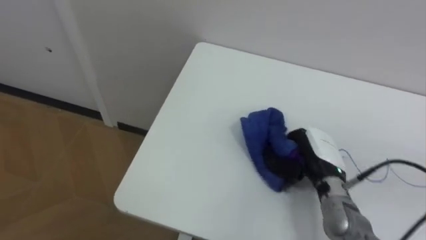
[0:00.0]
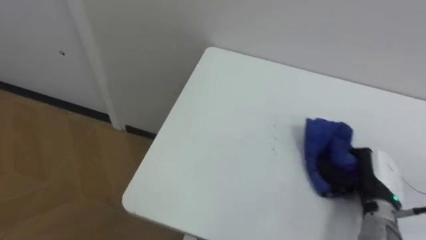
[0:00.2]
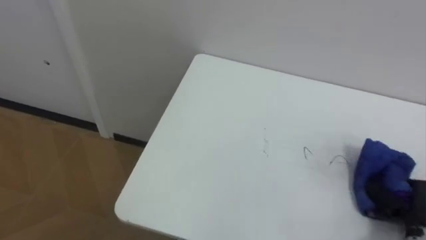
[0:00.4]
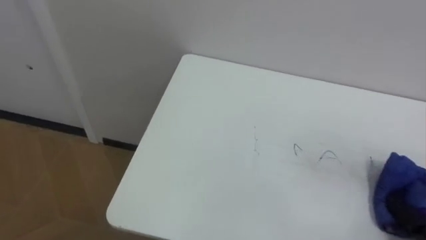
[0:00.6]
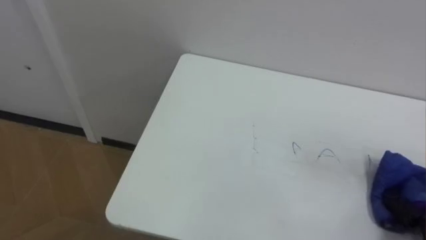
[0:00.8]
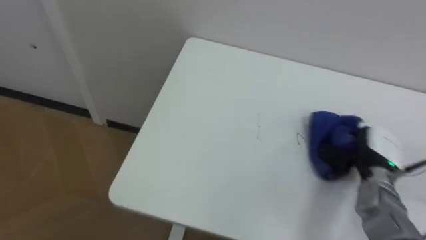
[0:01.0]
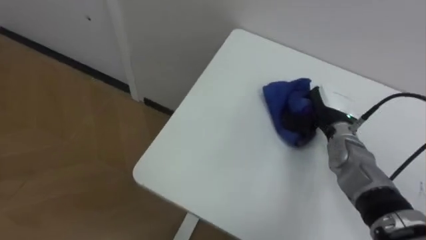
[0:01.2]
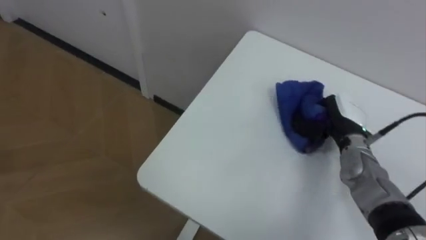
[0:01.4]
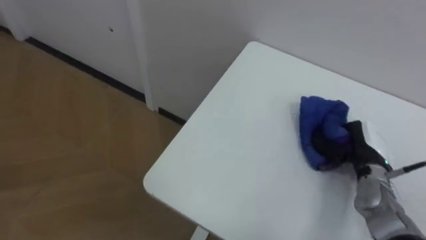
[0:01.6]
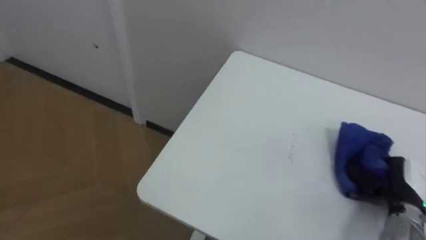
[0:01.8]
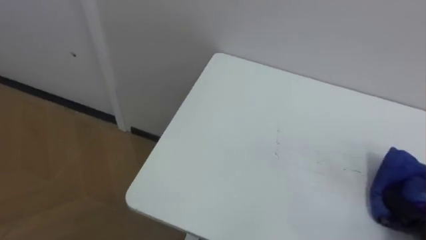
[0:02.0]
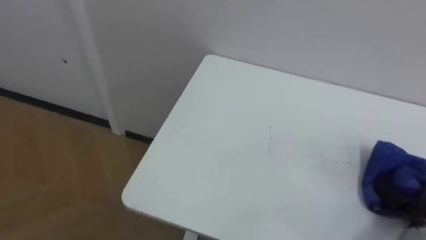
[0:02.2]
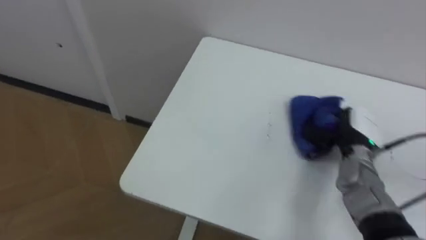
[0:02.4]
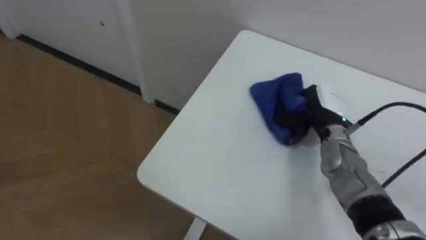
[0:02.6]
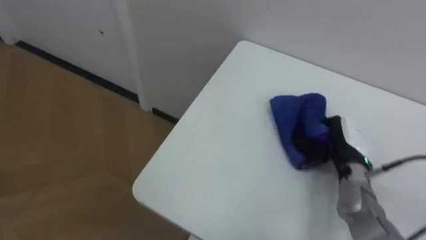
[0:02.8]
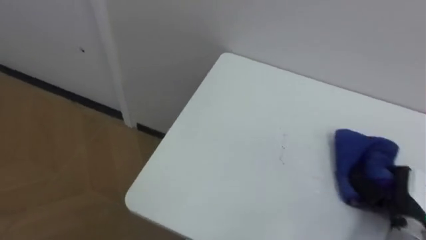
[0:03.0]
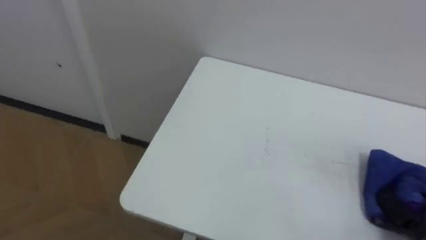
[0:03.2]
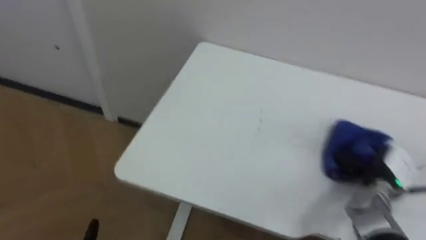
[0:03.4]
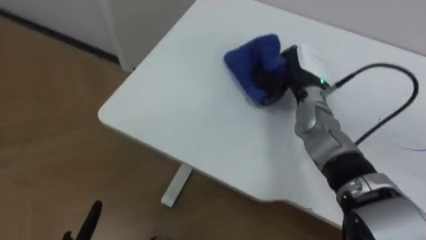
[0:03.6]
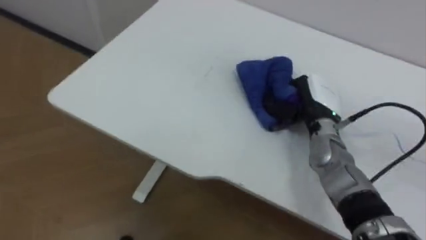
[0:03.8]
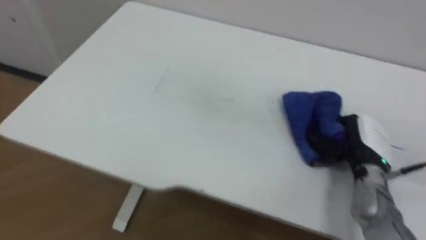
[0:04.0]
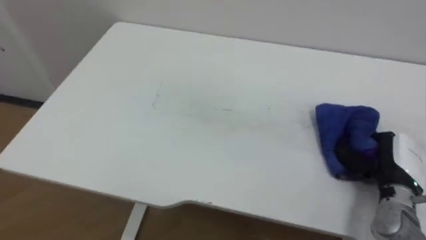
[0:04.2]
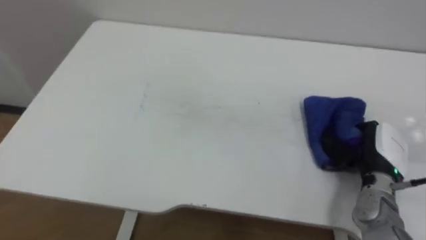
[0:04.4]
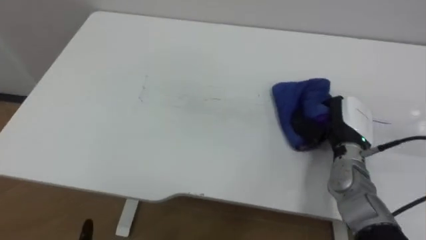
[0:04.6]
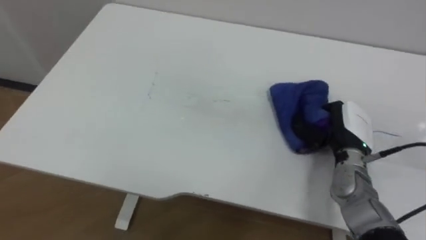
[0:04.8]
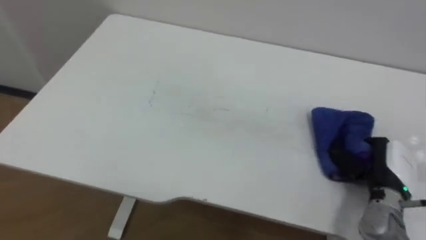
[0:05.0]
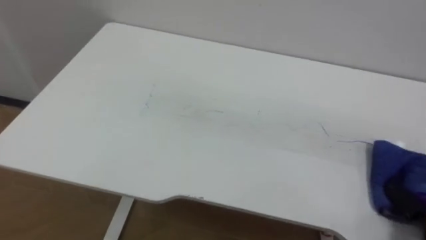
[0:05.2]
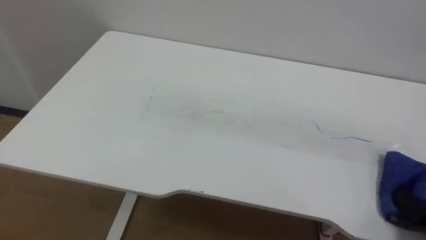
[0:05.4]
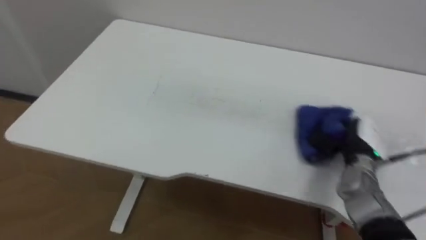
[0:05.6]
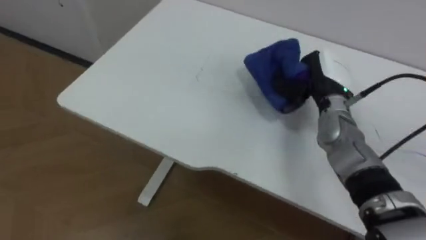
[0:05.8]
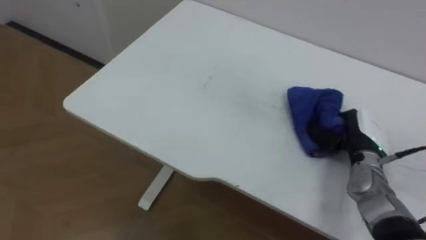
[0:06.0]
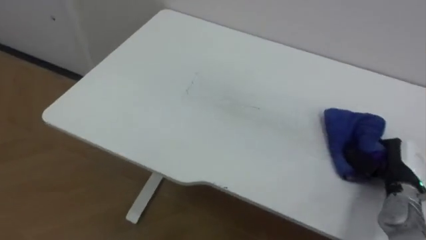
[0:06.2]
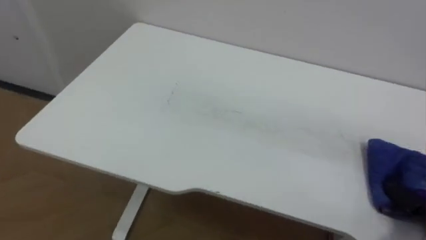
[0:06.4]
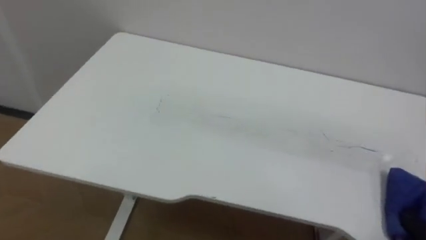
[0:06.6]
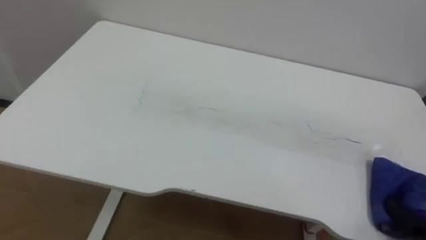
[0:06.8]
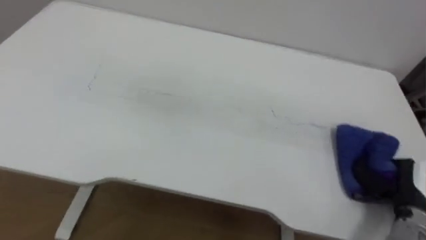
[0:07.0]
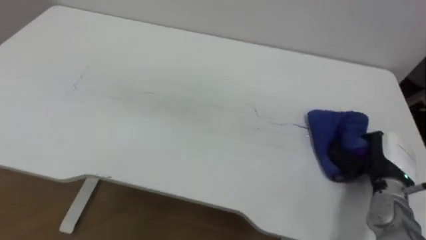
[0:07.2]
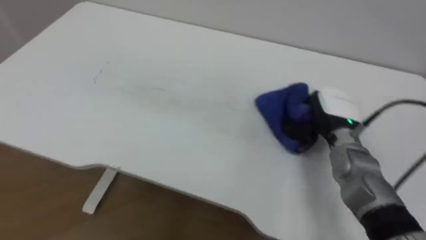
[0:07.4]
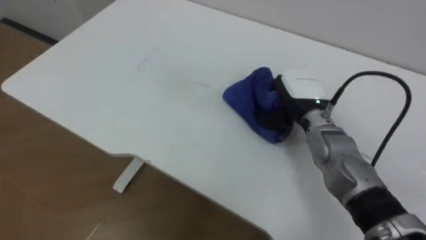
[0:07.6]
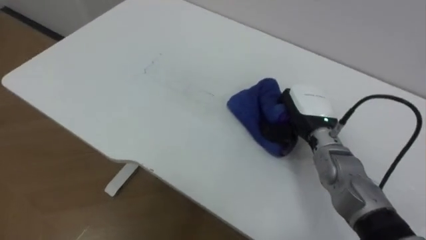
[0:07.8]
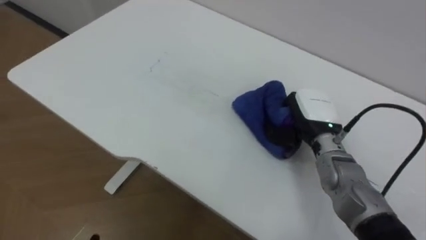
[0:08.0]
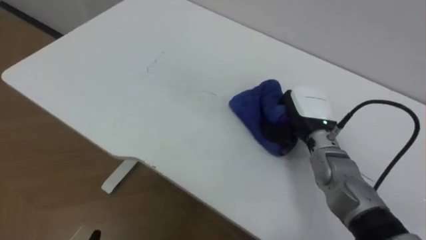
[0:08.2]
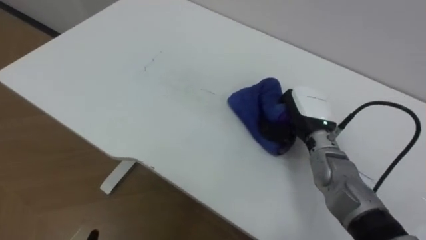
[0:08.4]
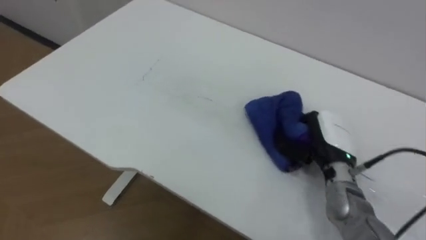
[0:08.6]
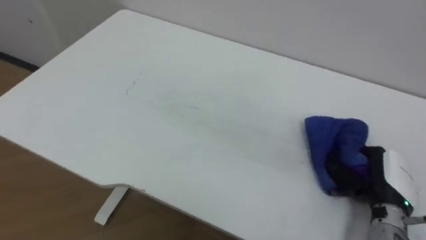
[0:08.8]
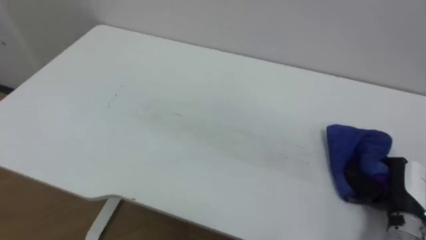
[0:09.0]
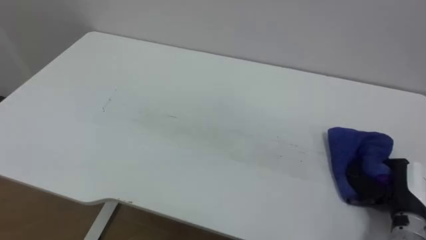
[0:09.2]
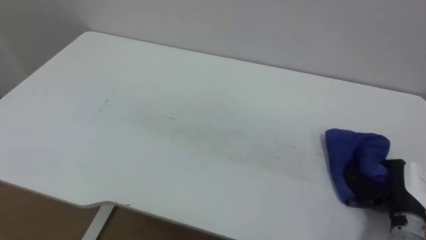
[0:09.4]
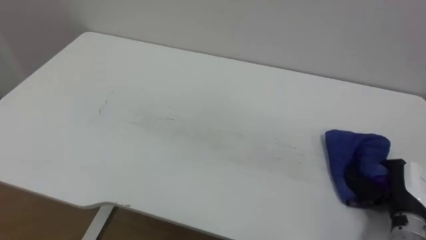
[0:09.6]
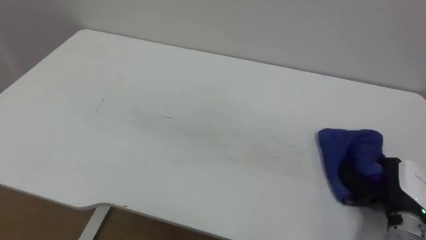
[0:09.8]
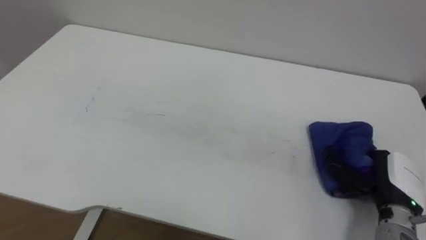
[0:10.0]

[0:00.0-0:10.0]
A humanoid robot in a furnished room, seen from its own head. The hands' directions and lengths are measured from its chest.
Task of the whole recording: Wipe the blue pen marks off the table with the rag.
0:02.8 to 0:04.2: The right hand swings forward and backward, roughly 25 cm each way, with 2 reversals.
0:07.2 to 0:08.6: The right hand shifts roughly 10 cm to the left.
0:08.6 to 0:10.0: The right hand shifts approximately 15 cm to the right and backward, and opens its fingers.

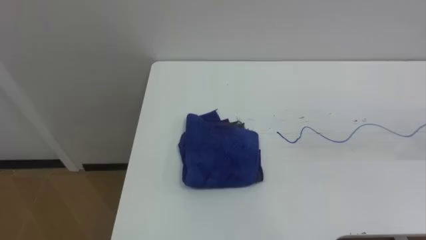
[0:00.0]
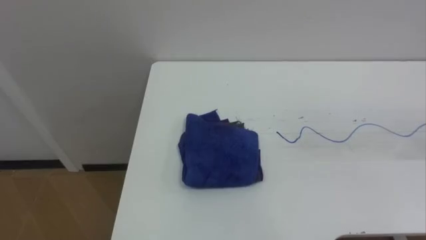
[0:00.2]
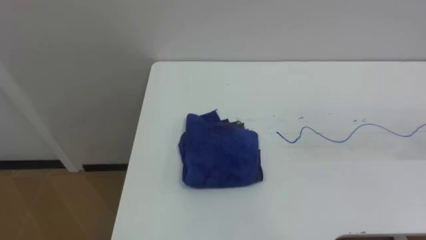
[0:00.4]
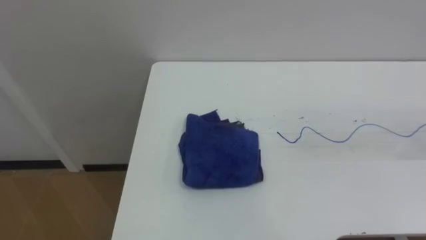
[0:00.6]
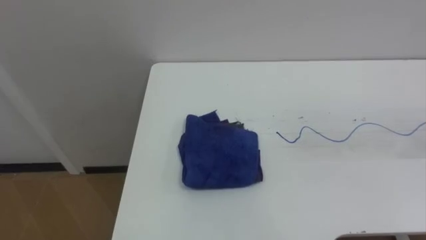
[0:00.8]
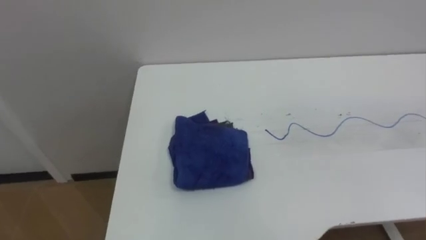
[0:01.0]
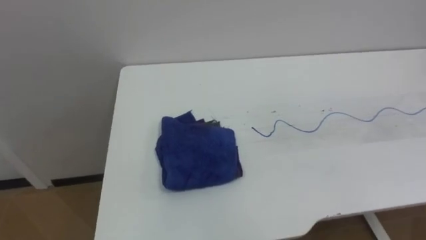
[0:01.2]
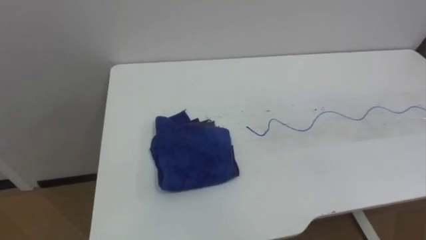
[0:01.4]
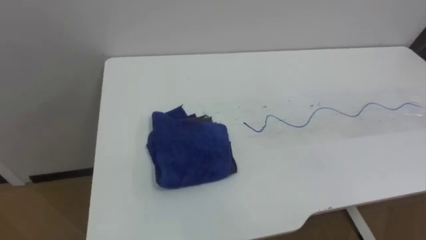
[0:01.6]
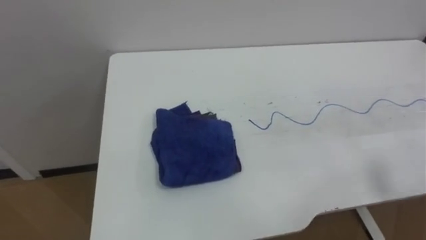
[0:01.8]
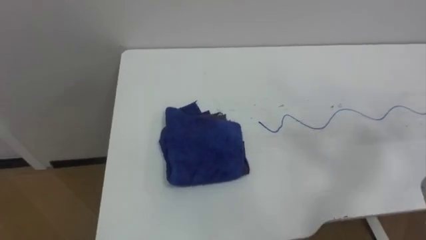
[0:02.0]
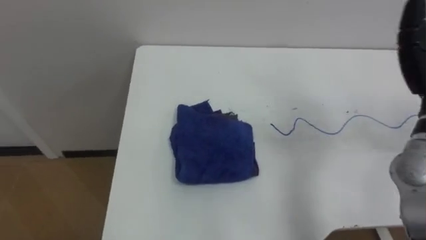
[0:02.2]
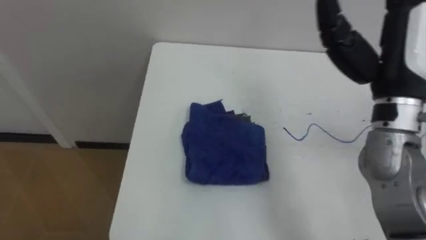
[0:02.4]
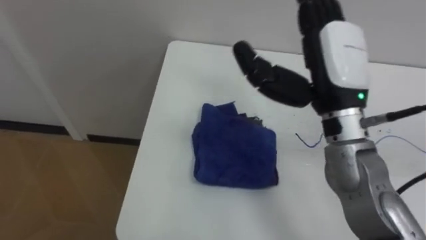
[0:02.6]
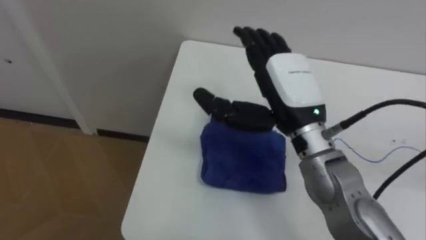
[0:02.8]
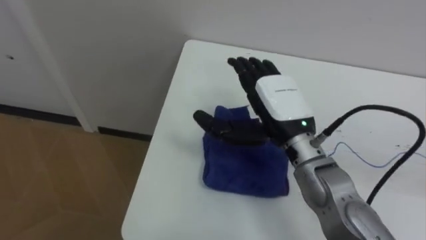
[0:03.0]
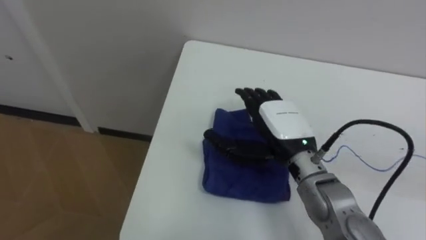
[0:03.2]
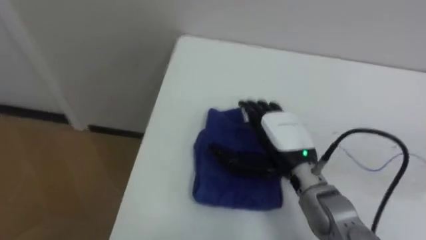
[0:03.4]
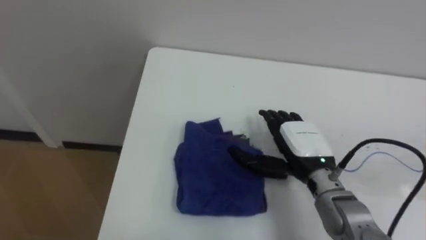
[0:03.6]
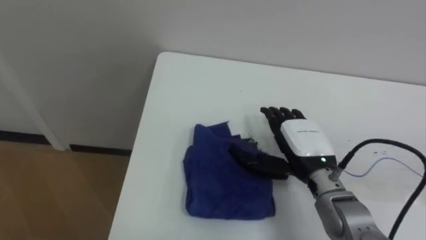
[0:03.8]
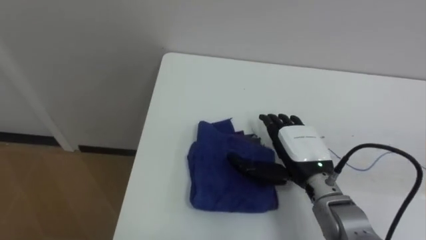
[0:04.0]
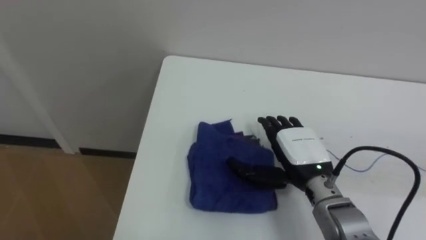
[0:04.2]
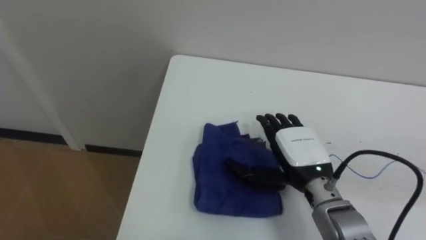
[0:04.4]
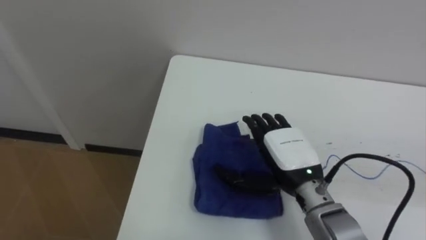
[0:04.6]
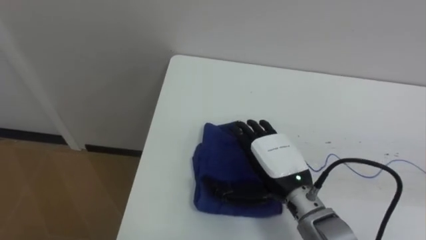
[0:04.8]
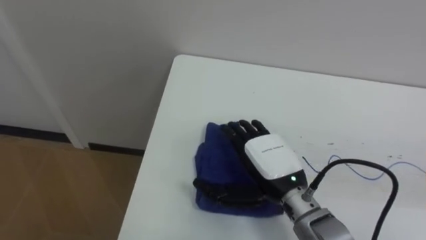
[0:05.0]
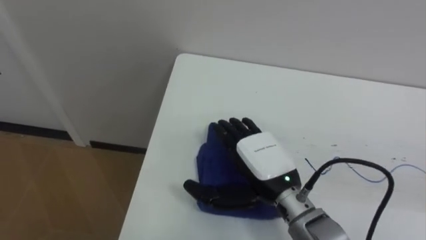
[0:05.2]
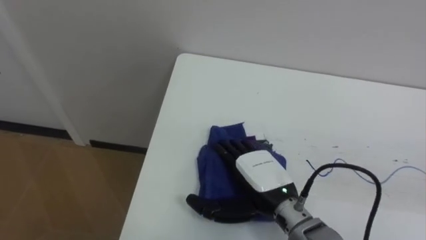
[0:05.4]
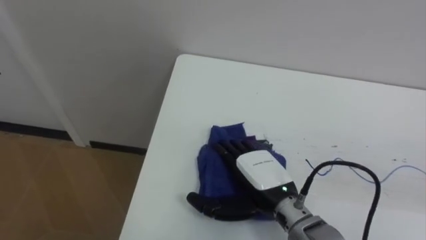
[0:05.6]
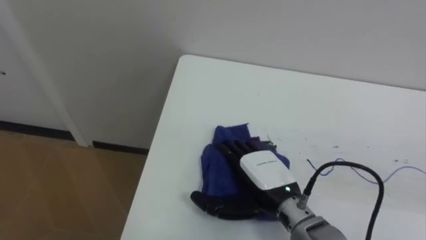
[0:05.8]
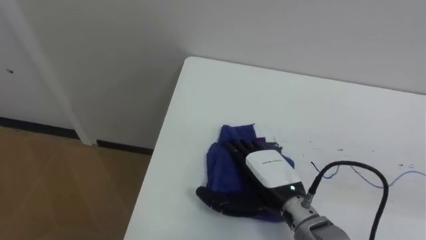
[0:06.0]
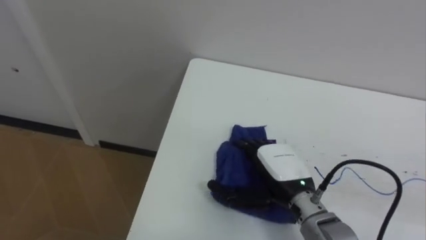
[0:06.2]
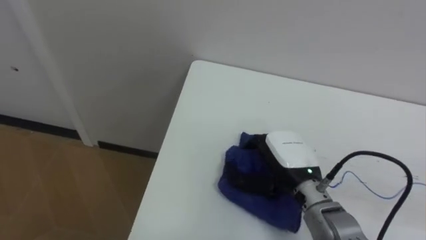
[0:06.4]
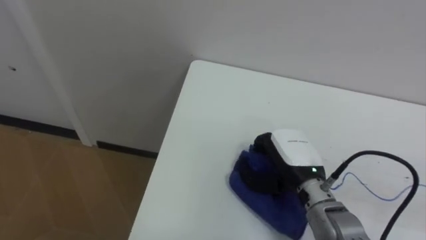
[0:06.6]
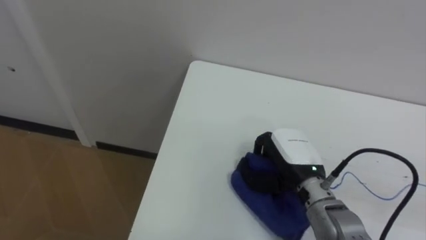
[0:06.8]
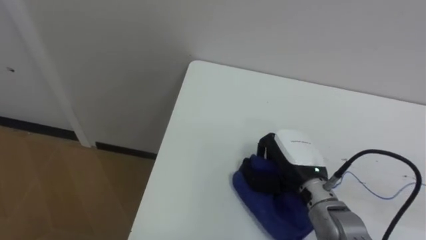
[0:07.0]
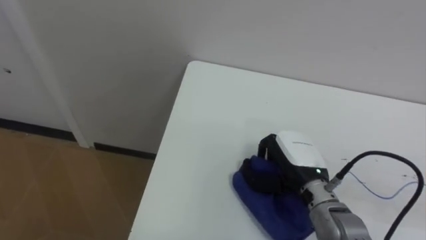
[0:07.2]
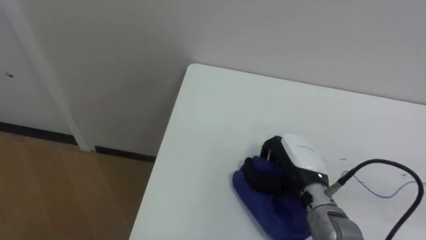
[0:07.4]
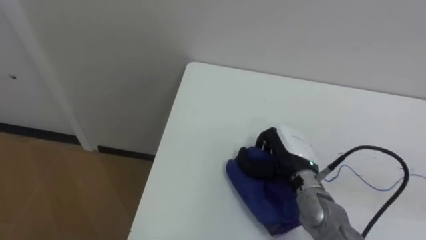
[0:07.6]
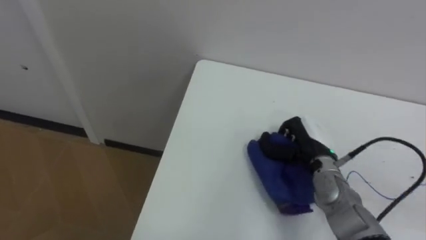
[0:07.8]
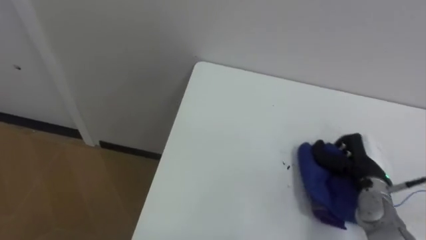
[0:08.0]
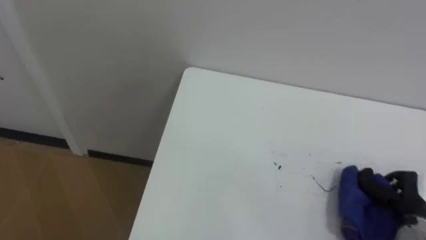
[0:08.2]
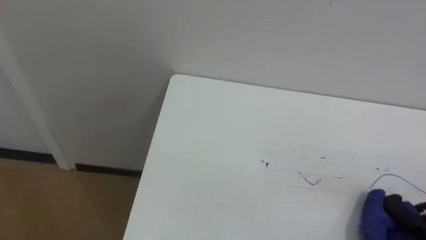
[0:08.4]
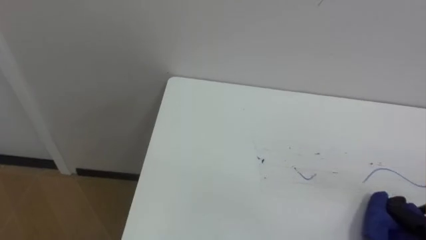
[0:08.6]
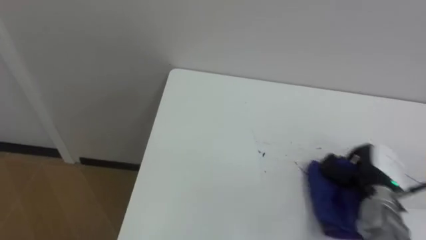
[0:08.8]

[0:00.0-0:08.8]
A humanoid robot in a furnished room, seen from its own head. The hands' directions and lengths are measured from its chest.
Task of the whole recording: Wipe the blue pen marks off the table with the rag.
0:03.0 to 0:04.4: The right hand shifts approximately 10 cm downward and to the right.
0:04.4 to 0:05.8: The right hand heads to the left, covering roughly 5 cm.
0:05.8 to 0:07.4: The right hand travels to the right by some 5 cm, and closes.
